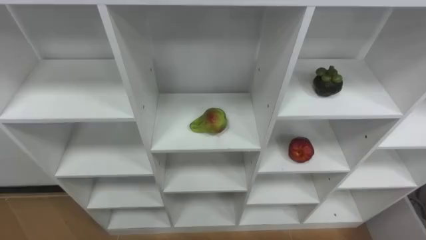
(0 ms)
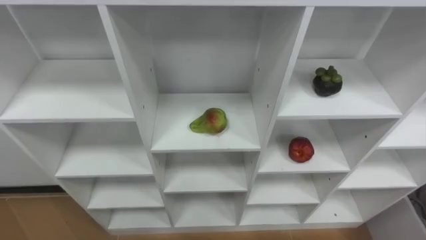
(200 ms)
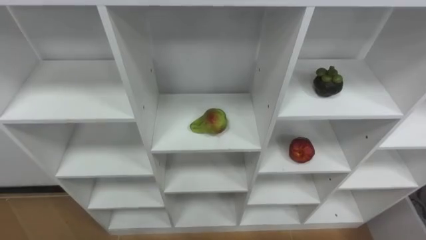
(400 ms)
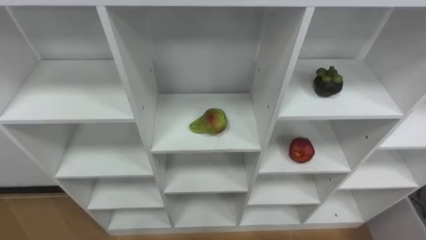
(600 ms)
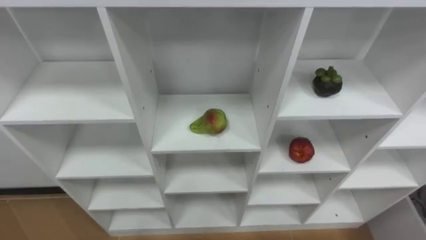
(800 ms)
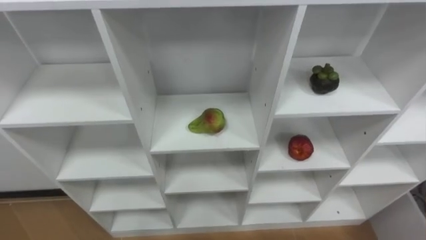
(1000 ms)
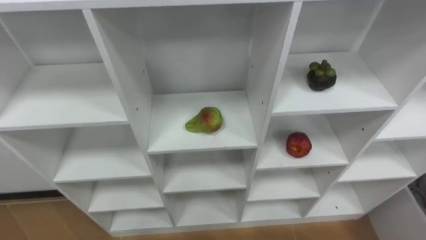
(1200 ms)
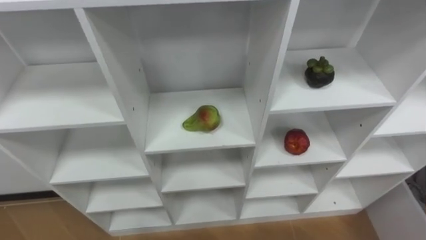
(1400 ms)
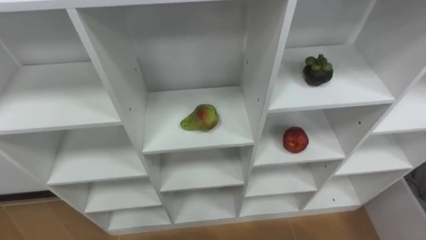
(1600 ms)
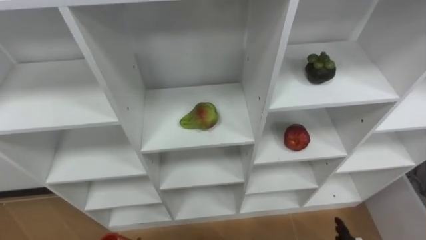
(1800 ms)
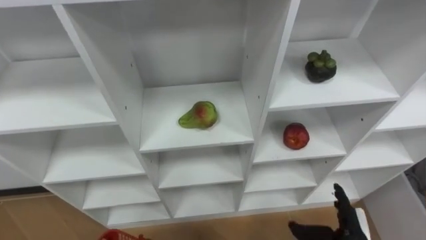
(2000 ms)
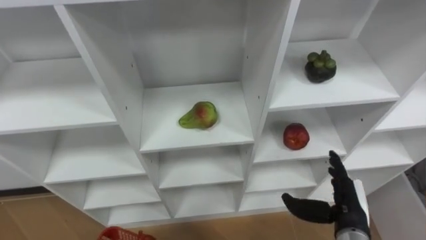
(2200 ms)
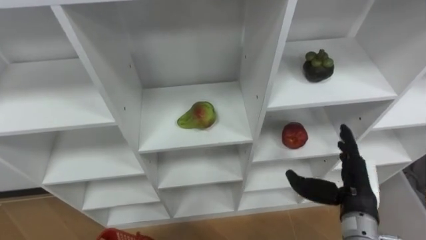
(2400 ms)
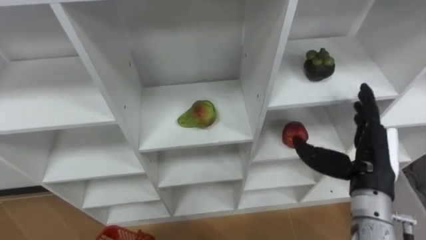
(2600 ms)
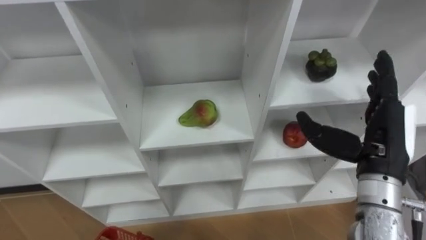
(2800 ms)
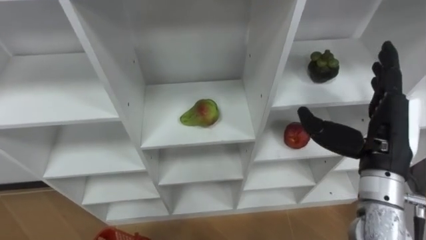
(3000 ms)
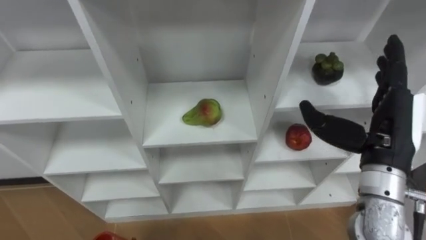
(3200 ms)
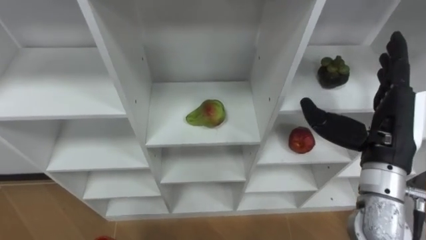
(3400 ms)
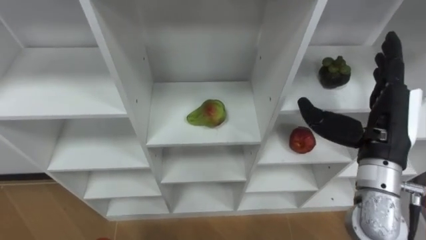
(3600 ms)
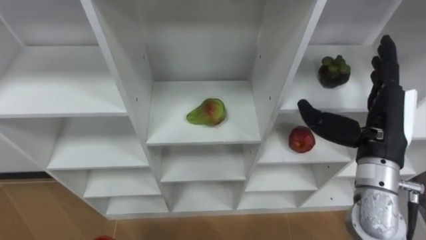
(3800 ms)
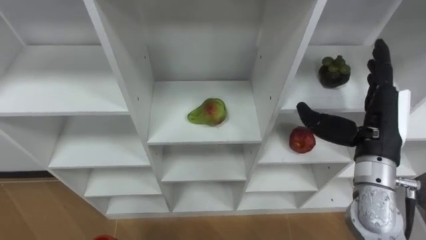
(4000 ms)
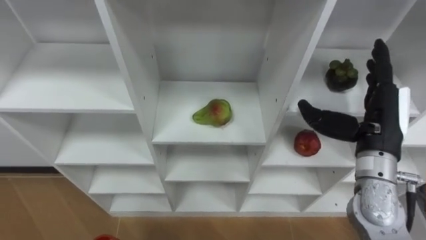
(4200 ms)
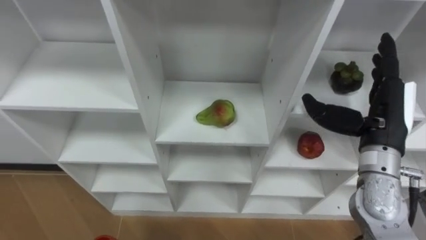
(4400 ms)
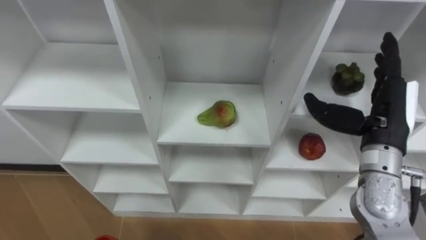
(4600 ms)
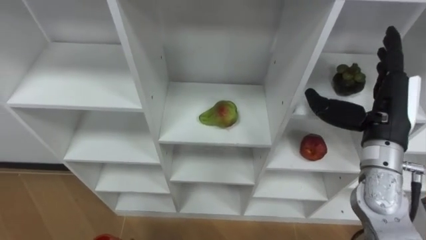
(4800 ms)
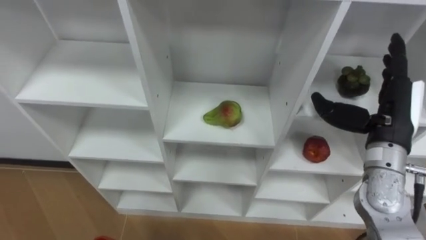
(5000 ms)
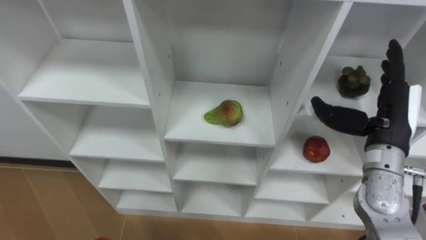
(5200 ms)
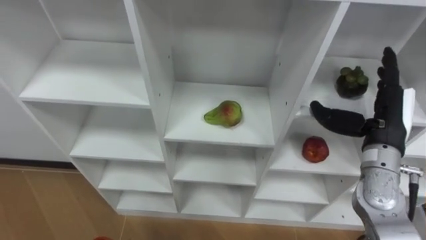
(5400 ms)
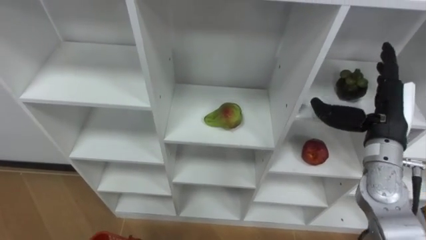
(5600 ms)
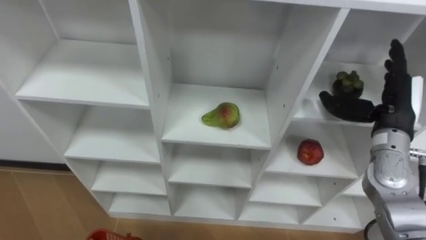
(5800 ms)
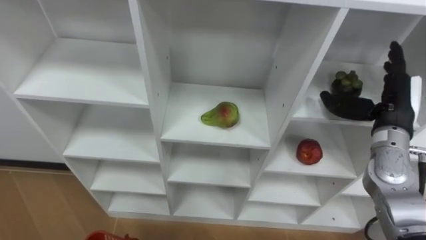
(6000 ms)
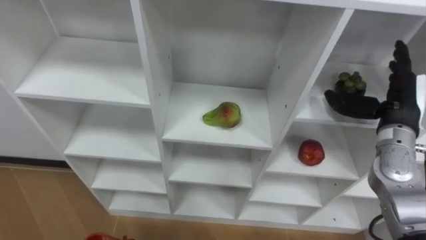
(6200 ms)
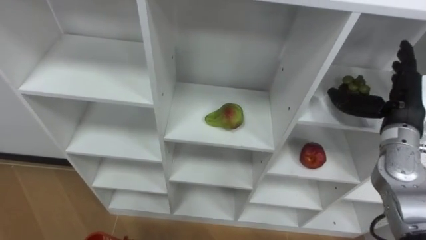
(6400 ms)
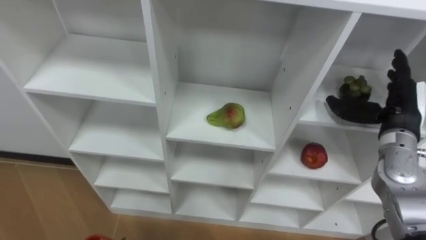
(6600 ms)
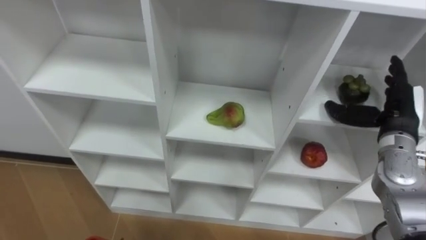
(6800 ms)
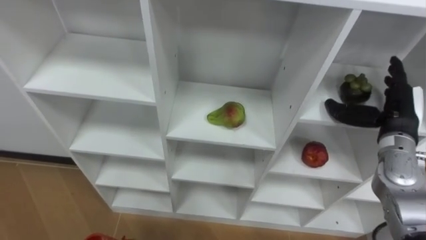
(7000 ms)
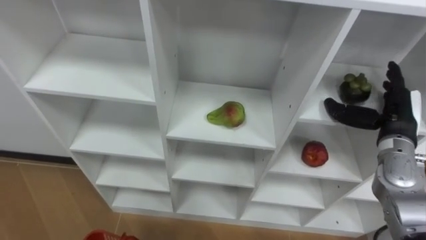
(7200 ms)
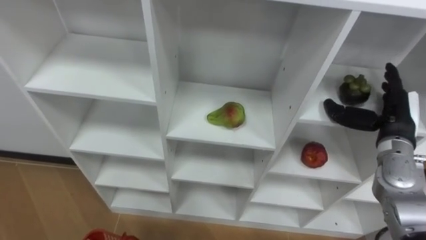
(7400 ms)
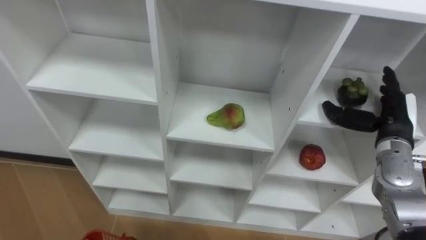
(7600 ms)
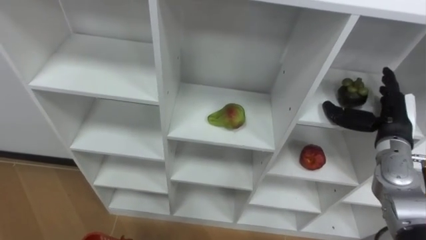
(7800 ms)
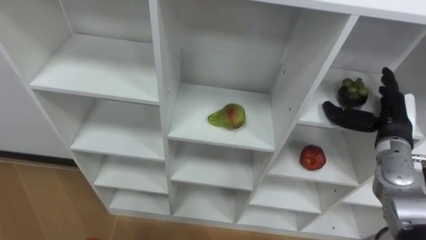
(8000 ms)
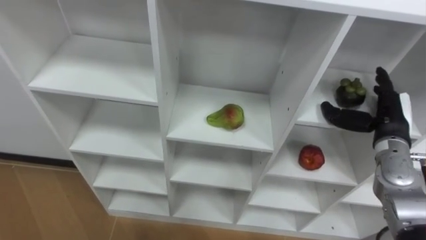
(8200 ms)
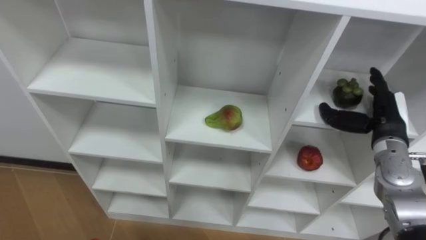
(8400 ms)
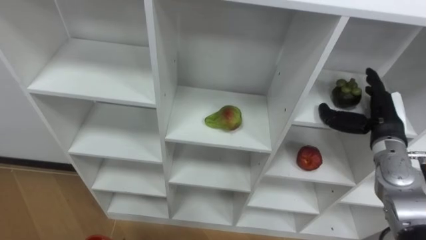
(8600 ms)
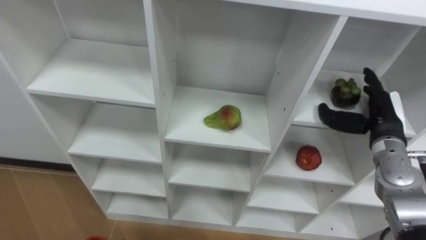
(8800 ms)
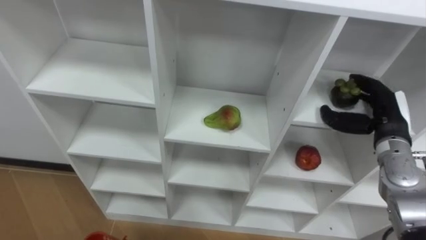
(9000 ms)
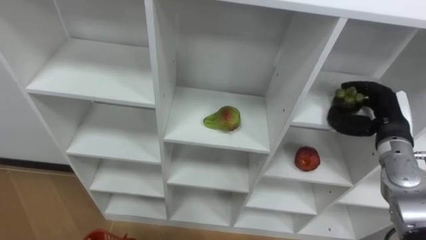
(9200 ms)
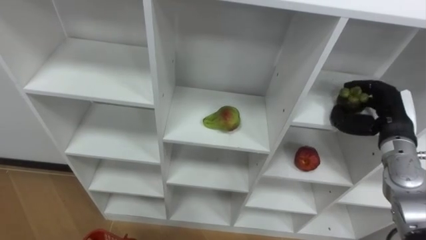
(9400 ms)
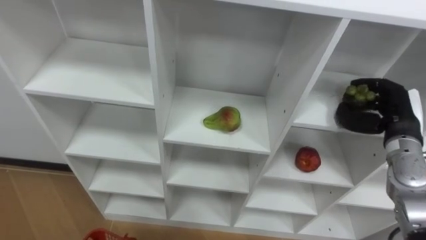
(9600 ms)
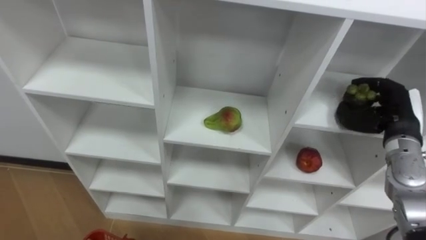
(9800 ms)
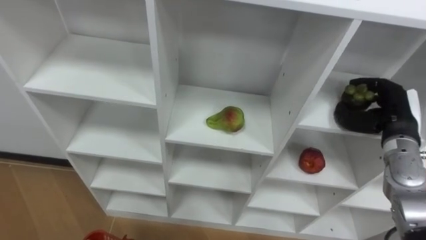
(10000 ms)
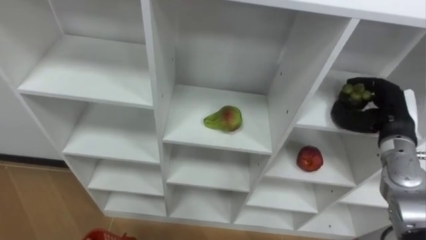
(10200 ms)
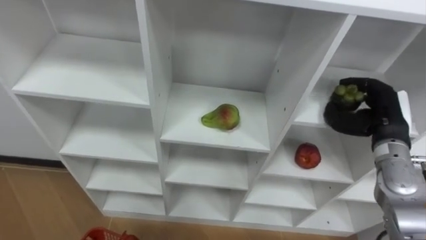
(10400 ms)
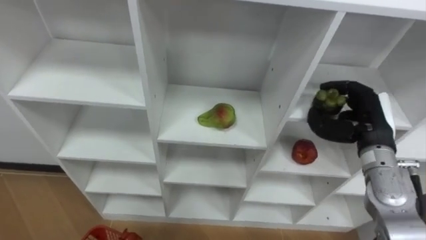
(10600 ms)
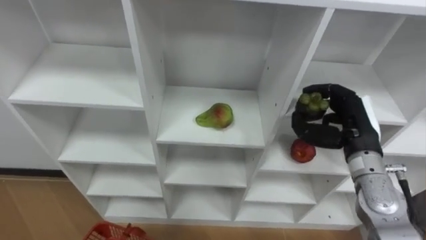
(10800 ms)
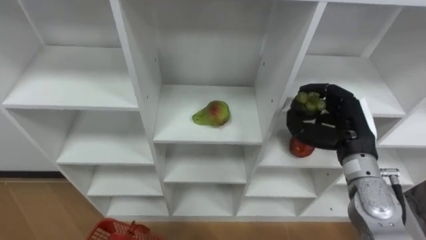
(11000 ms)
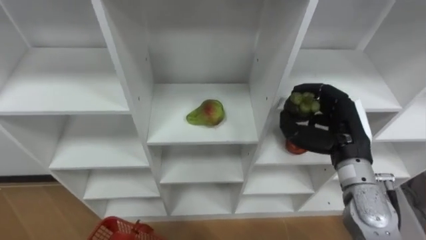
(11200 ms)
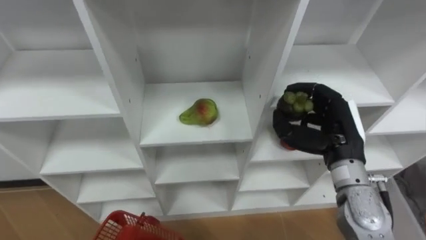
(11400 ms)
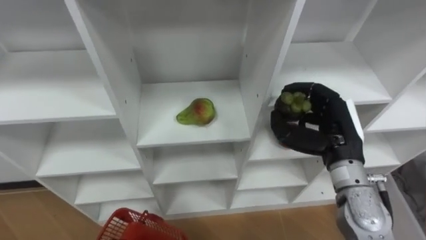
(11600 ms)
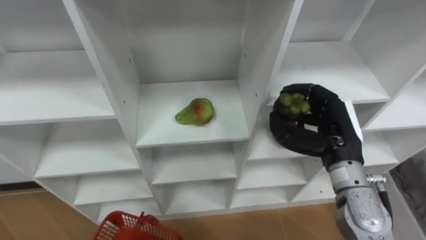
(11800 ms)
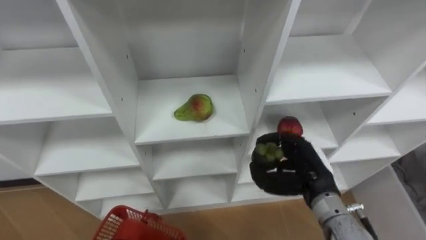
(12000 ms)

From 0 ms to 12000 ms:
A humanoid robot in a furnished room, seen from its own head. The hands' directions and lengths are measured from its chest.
Task of the whole recording: Hold the basket and collect the fruits from 3 different cells of the closet into it.
From 4400 ms to 6000 ms: The right hand moves about 5 cm.
From 6000 ms to 7600 ms: The right hand moves some 5 cm.
From 9000 ms to 10400 ms: The right hand closes.
From 10400 ms to 12000 ms: The right hand moves to the left and backward, about 15 cm.

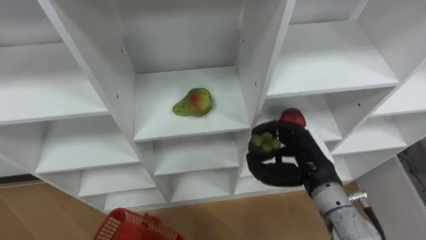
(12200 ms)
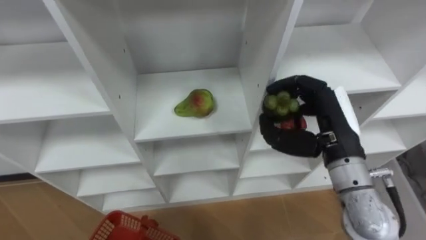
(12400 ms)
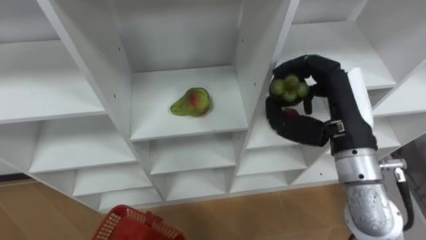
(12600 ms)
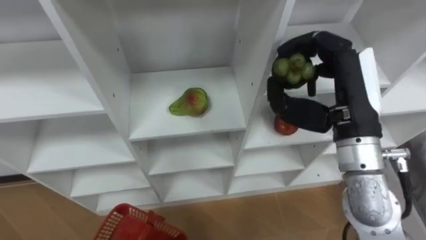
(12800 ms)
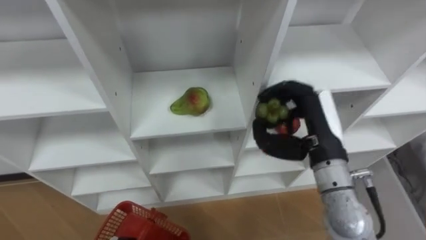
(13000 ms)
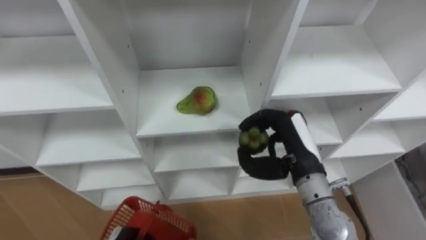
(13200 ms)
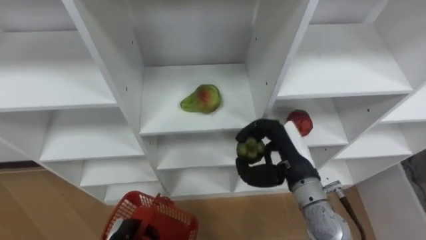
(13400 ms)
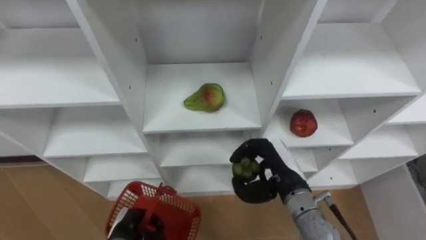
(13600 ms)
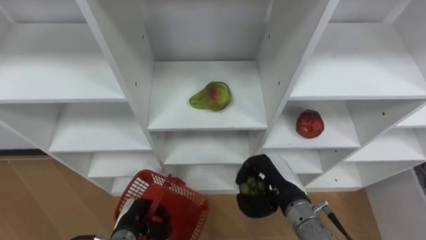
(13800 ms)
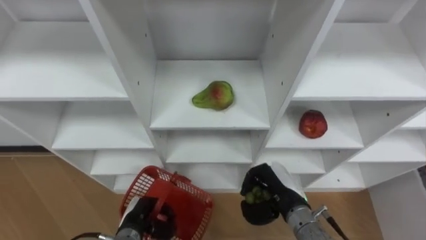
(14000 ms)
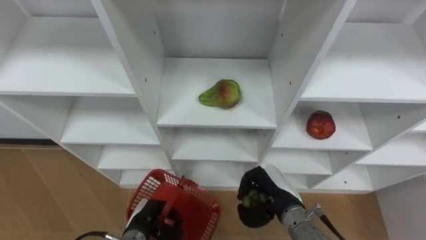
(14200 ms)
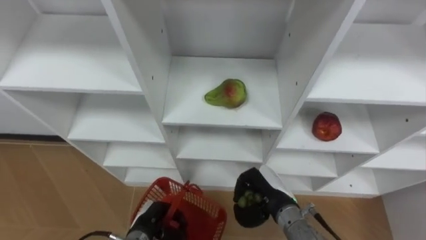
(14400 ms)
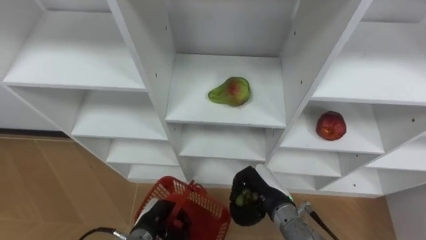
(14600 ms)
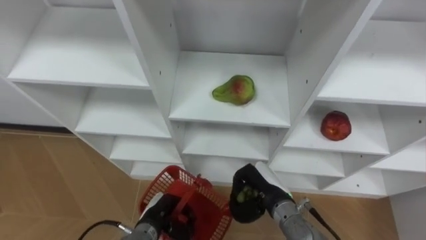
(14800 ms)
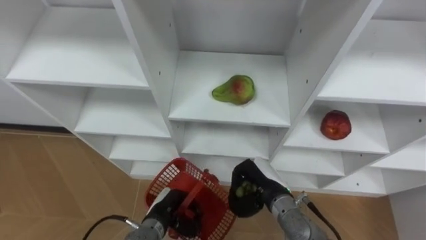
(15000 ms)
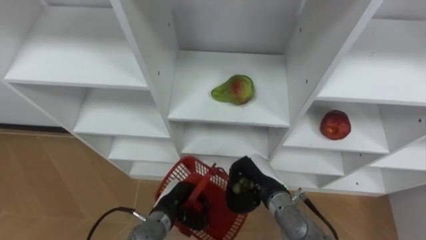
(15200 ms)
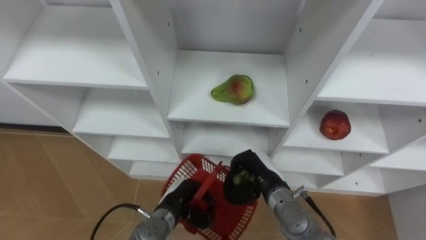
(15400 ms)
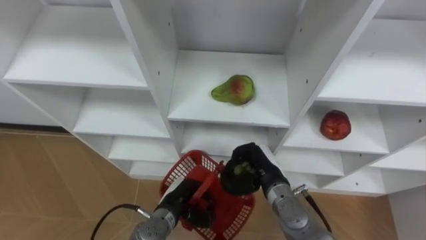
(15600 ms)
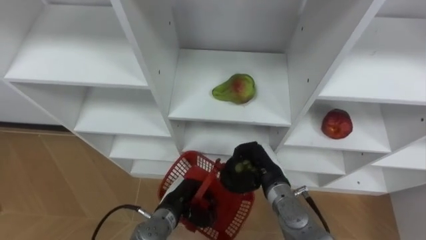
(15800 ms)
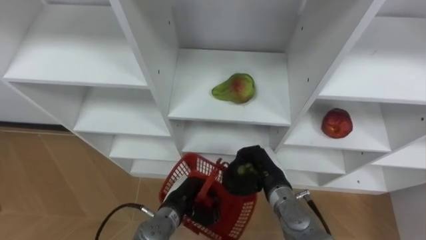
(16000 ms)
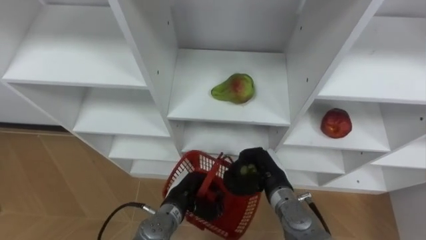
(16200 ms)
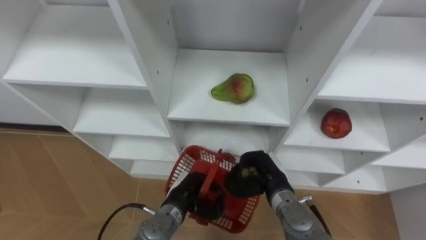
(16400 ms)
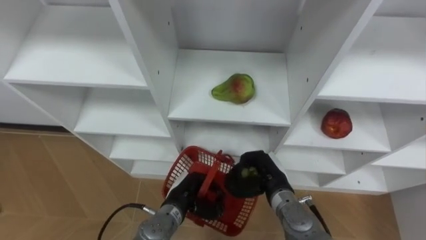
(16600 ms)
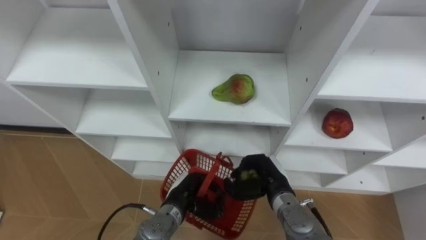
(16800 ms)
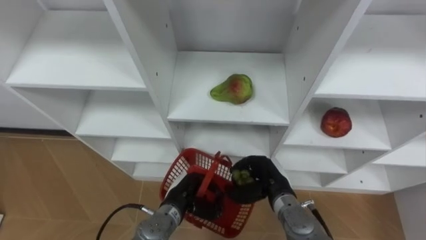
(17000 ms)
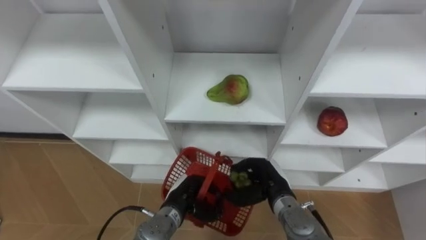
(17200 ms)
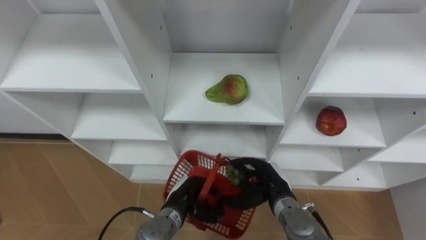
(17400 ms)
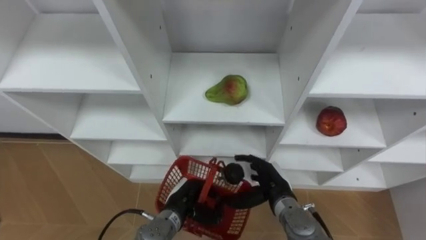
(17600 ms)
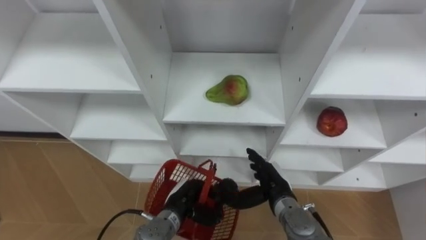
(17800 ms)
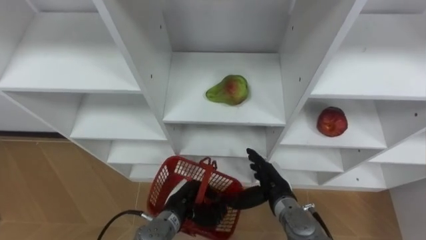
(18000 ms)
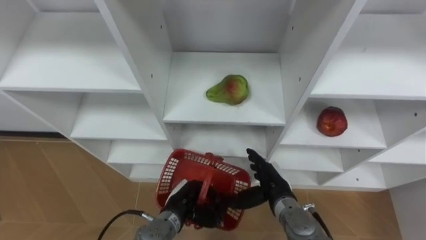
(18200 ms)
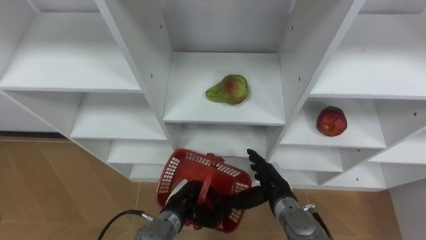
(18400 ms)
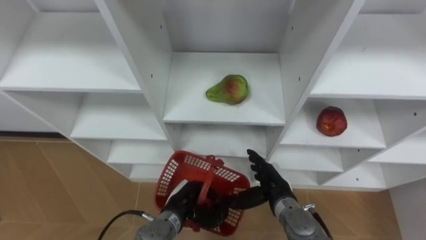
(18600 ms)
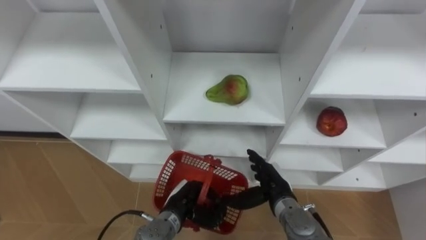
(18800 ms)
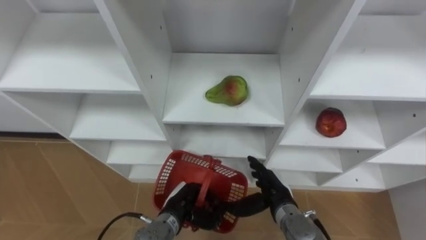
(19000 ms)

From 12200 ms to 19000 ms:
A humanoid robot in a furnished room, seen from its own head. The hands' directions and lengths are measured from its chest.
Task of the whole recording: Hold the basket and collect the fruits from 3 different cells of the closet into it.
From 12200 ms to 13600 ms: The right hand travels upward and back again, roughly 15 cm each way.
From 13600 ms to 15000 ms: The left hand travels to the right by some 10 cm; the right hand heads downward, covering about 5 cm.
From 15000 ms to 16200 ms: The left hand changes place by about 5 cm.
From 16200 ms to 17600 ms: The right hand opens up.
